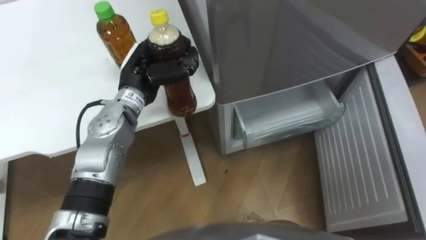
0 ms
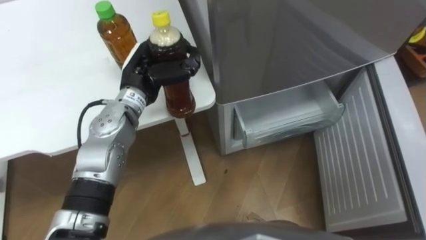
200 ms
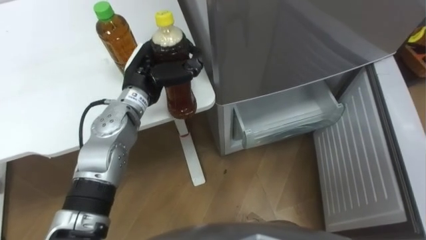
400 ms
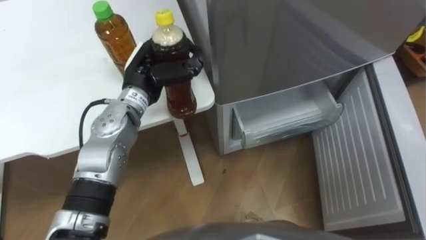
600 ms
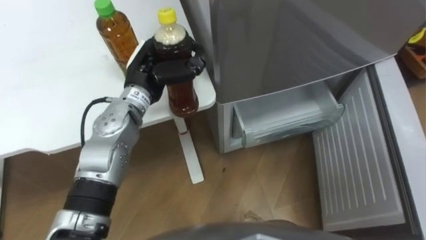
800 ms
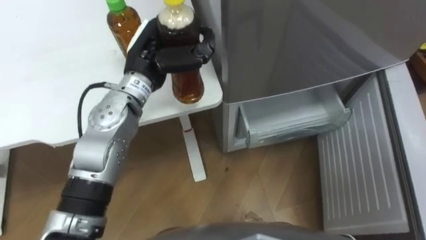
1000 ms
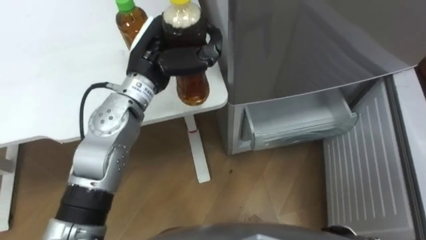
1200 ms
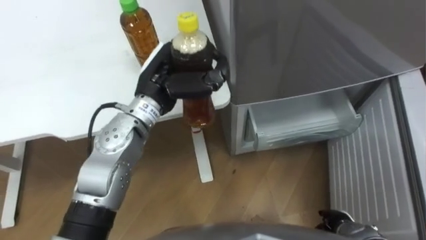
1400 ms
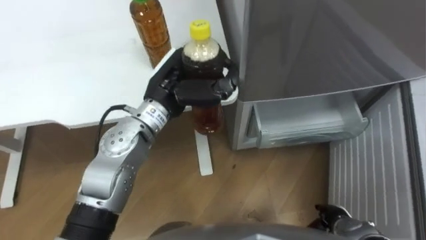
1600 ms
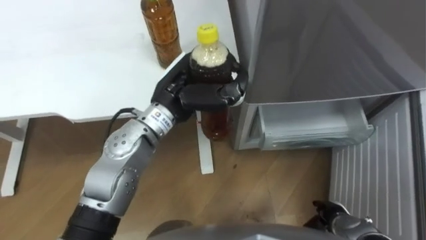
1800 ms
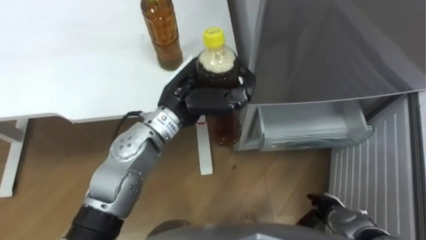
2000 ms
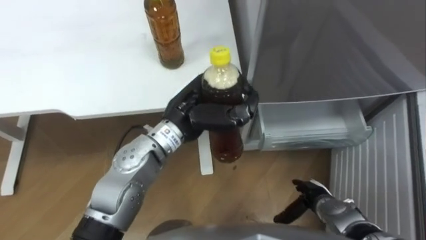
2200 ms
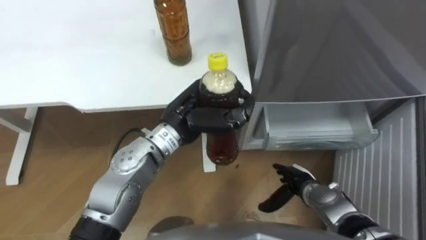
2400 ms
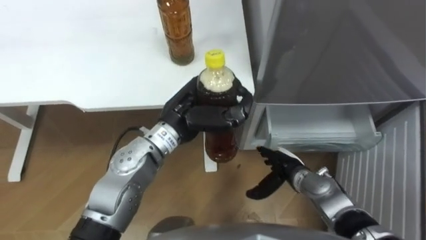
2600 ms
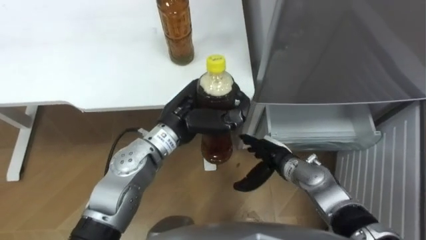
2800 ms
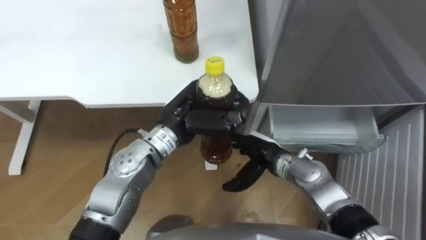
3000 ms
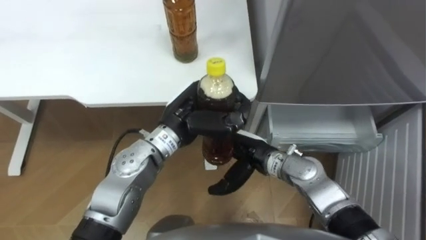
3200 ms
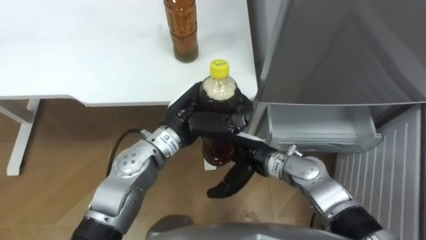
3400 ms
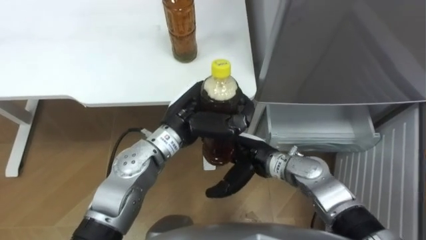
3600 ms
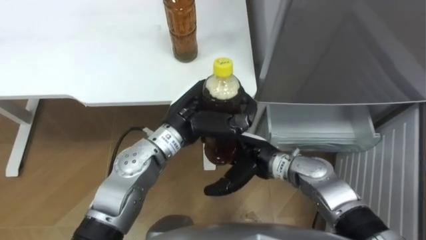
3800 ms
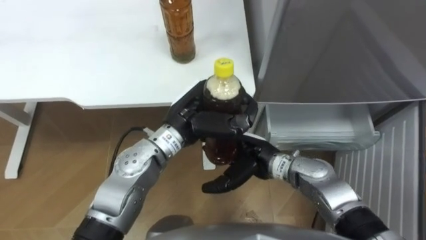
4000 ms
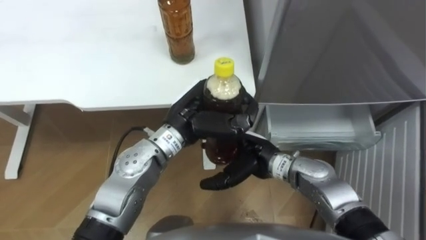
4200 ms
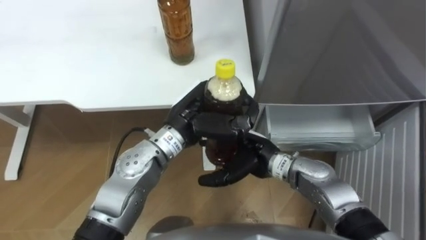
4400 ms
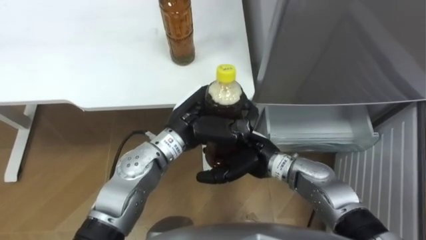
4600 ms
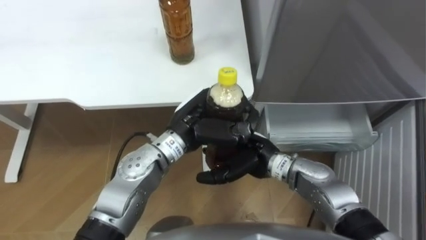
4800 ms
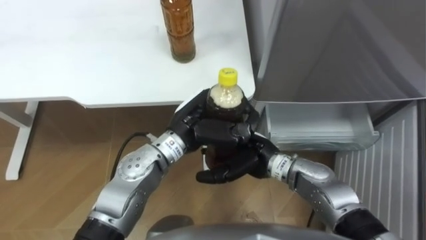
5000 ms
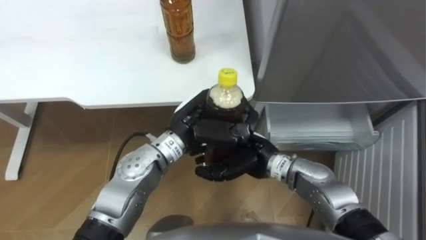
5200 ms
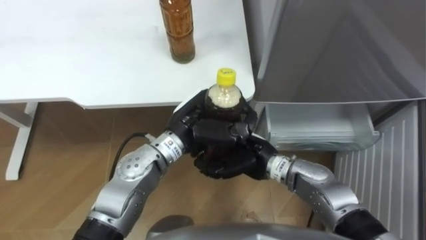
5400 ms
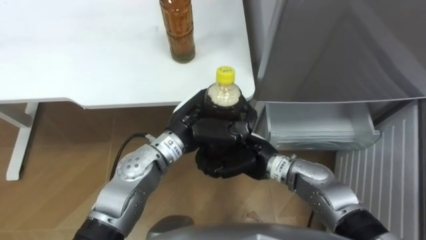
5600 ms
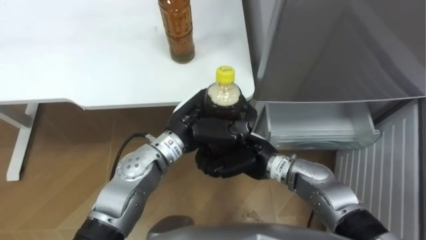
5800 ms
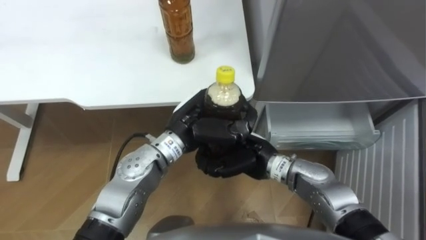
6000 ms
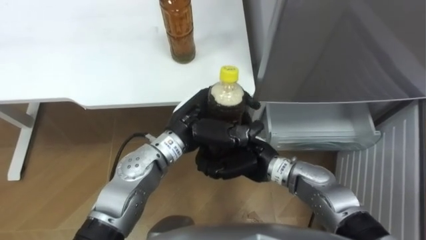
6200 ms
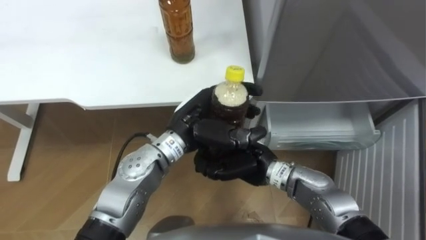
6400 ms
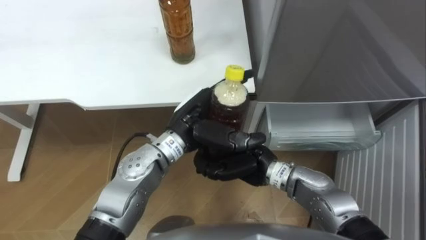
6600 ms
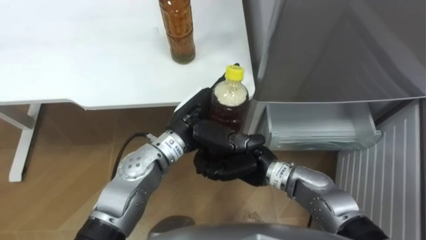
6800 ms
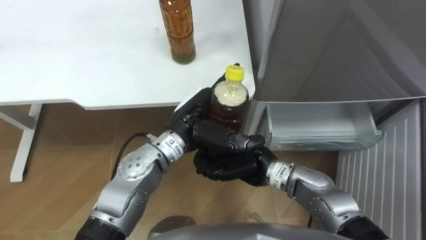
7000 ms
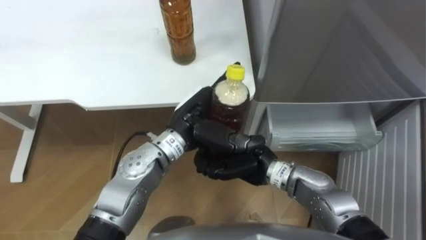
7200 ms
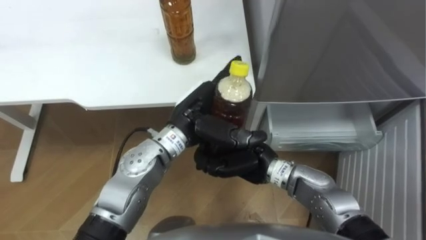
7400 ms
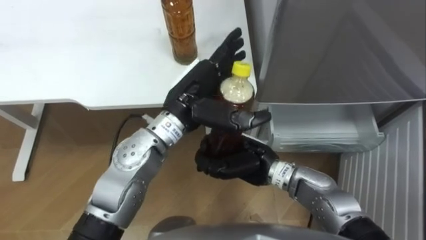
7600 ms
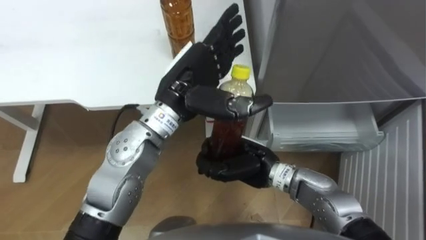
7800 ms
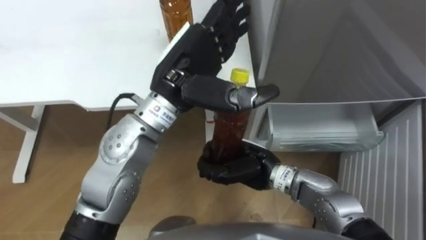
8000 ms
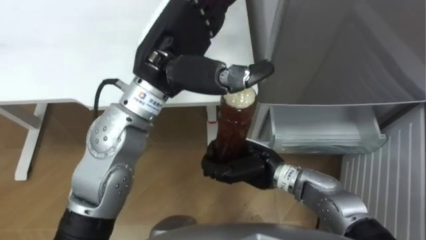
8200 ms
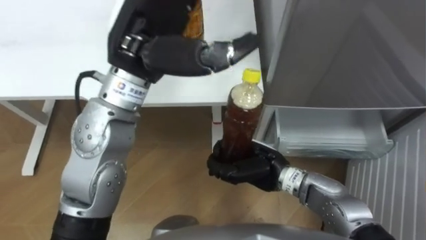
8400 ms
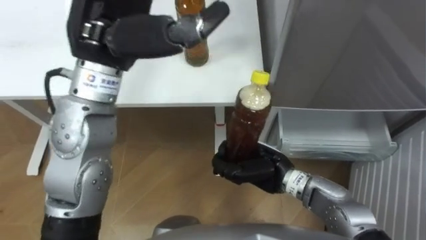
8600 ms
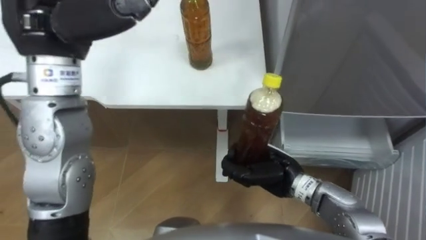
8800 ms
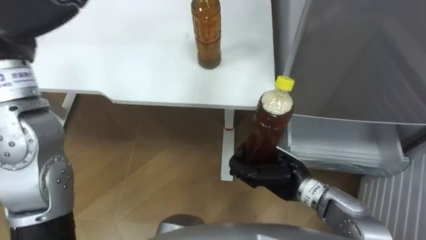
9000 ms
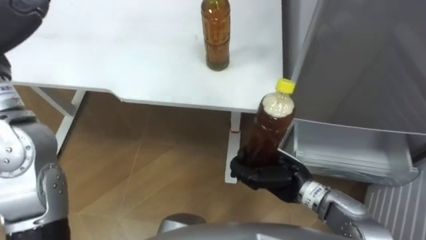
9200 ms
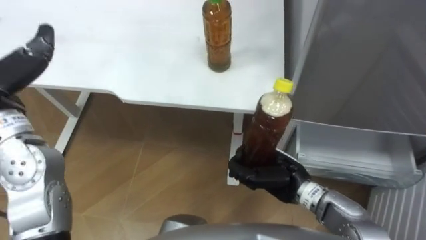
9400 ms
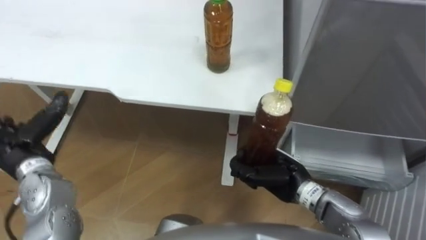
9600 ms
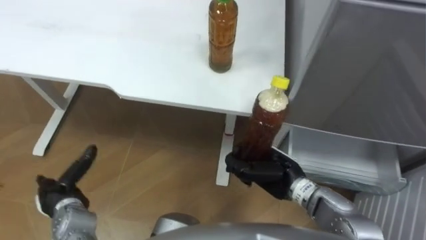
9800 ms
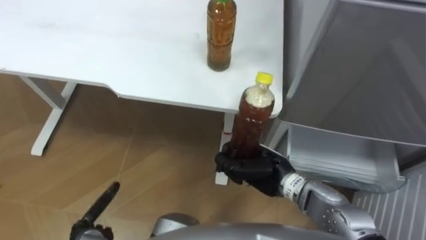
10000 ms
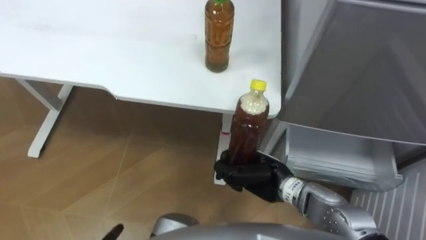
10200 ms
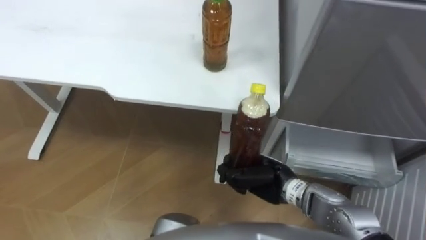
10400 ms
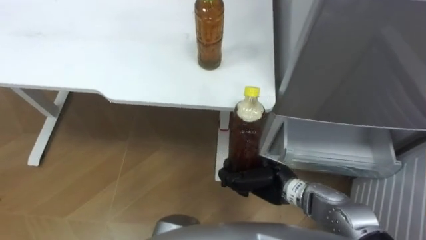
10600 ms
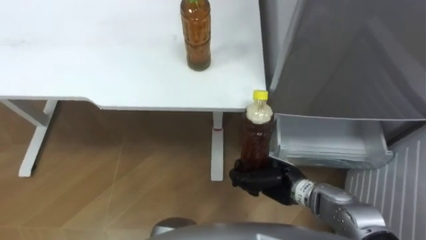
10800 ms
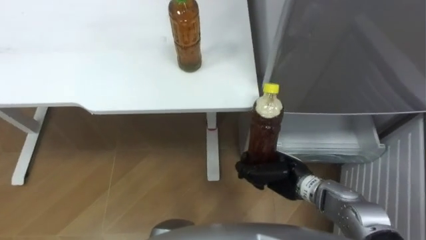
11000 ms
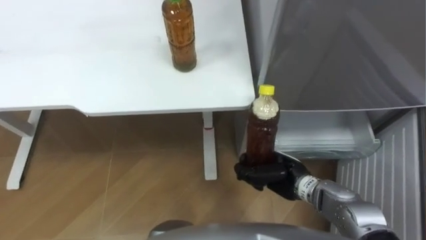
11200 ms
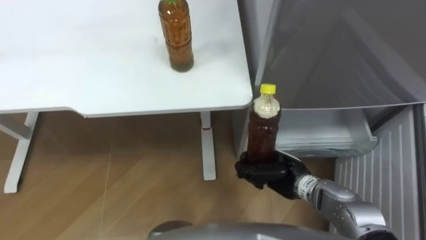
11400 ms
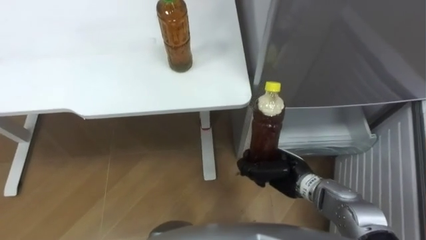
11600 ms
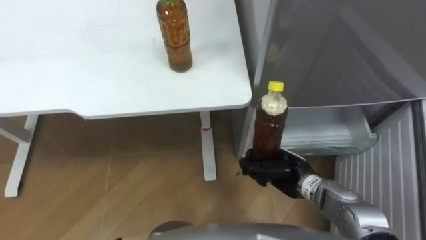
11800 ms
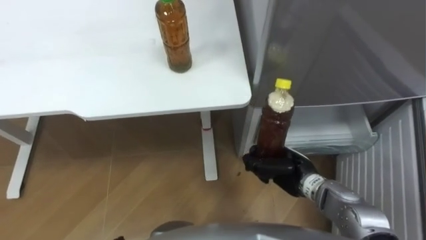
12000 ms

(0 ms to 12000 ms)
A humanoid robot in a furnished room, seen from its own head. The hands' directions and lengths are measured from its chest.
Task of the whole recording: Place the drink on the table on the bottom shelf of the refrigerator, then close the drawer and the refrigerator door.
0 ms - 1600 ms: The left hand travels to the right by about 5 cm.
1600 ms - 3000 ms: The right hand travels to the left, forward and upward by approximately 25 cm; the left hand moves some 5 cm.
3000 ms - 4400 ms: The right hand is displaced upward by about 5 cm.
4400 ms - 6000 ms: The right hand closes its fingers.
6000 ms - 7600 ms: The left hand travels upward by about 5 cm, and opens its fingers.
7600 ms - 9000 ms: The right hand moves to the right, approximately 5 cm.
10400 ms - 12000 ms: The right hand goes roughly 5 cm to the right.

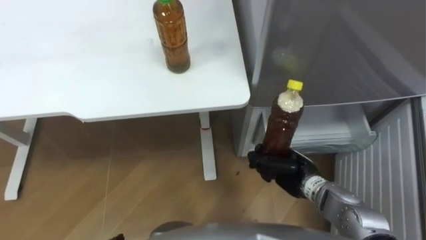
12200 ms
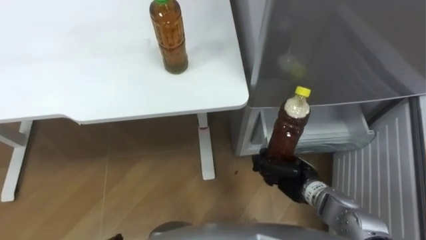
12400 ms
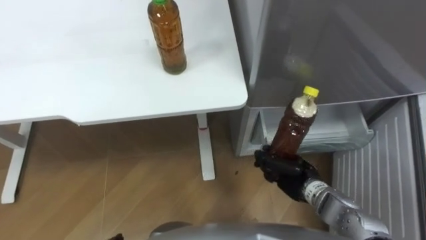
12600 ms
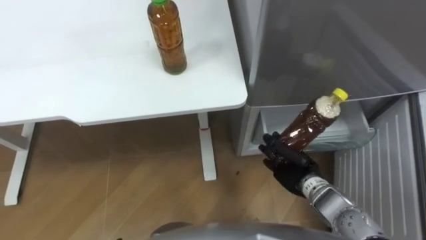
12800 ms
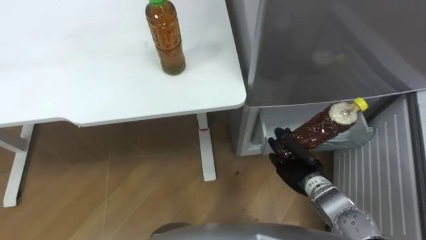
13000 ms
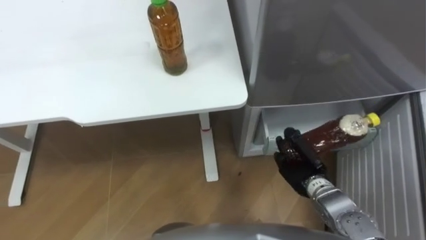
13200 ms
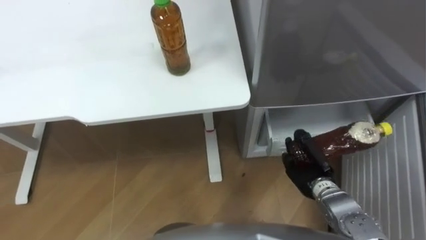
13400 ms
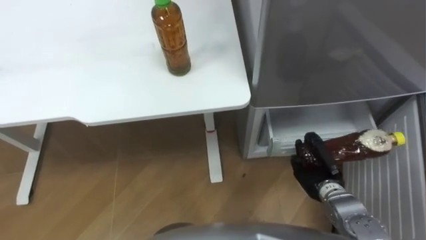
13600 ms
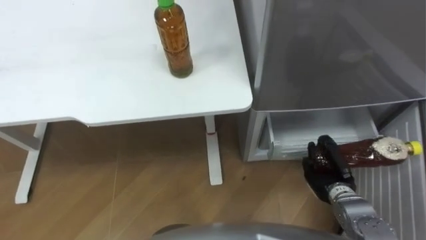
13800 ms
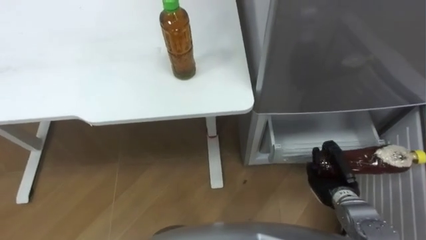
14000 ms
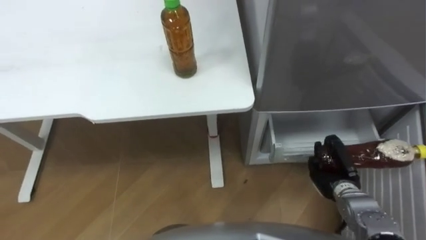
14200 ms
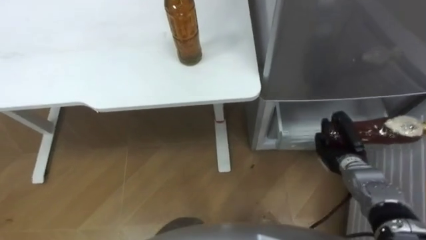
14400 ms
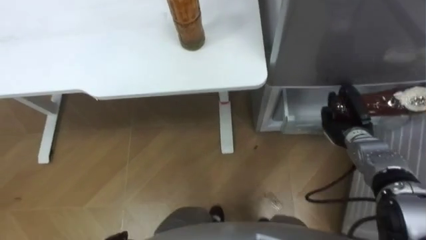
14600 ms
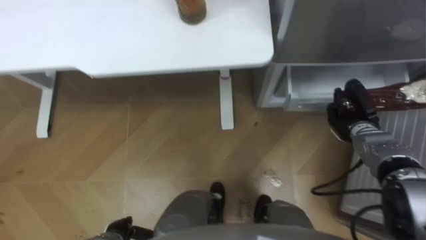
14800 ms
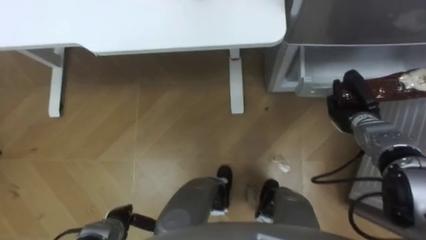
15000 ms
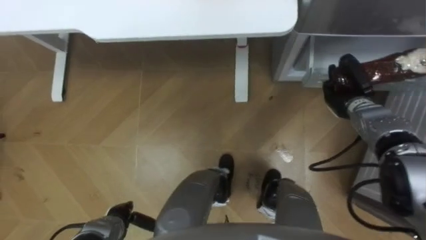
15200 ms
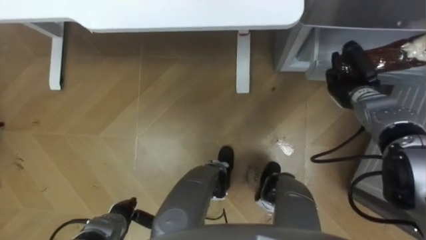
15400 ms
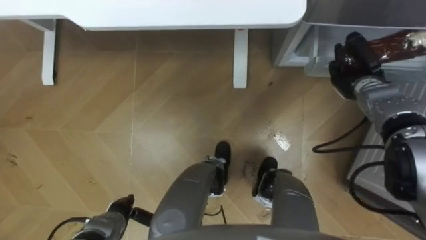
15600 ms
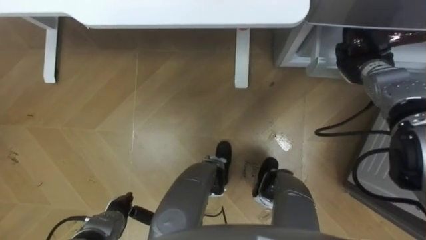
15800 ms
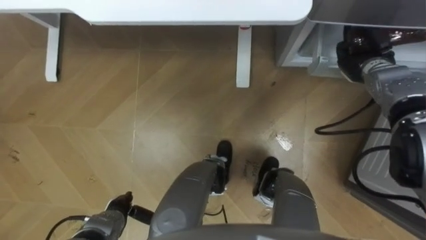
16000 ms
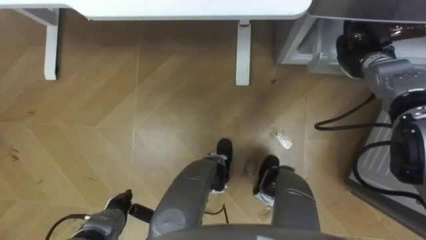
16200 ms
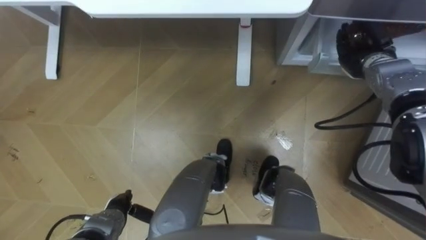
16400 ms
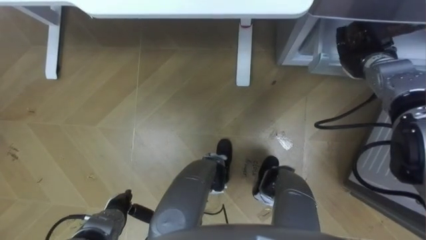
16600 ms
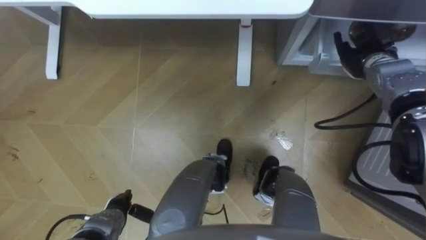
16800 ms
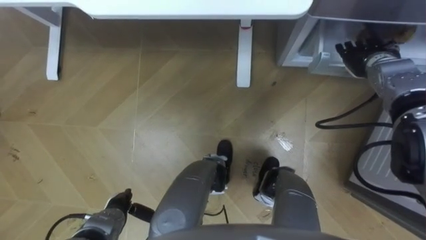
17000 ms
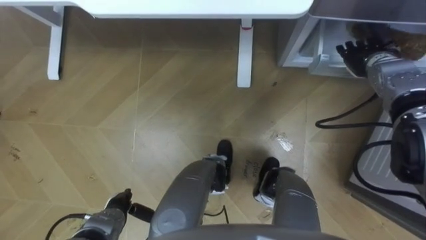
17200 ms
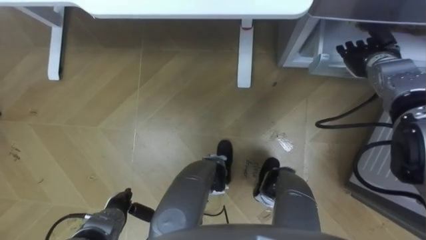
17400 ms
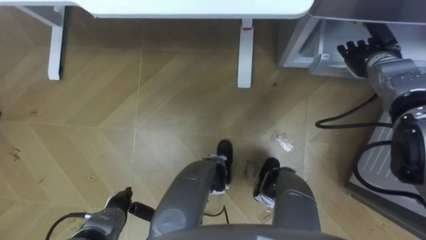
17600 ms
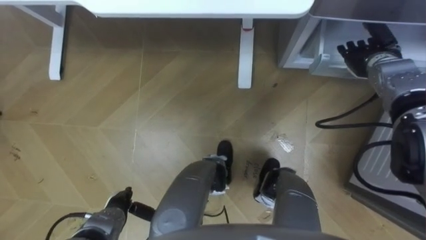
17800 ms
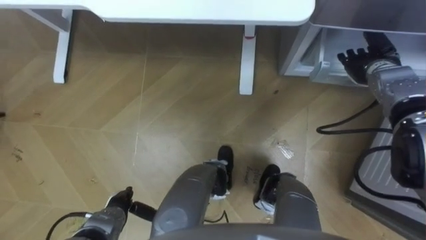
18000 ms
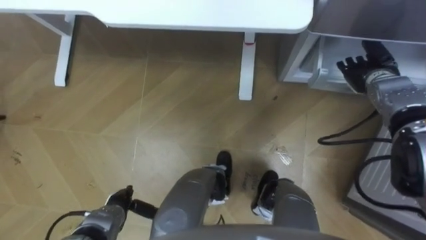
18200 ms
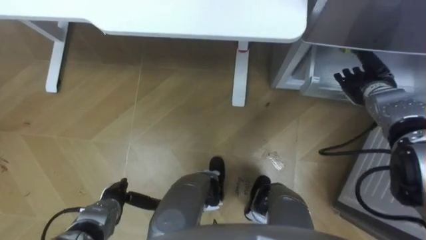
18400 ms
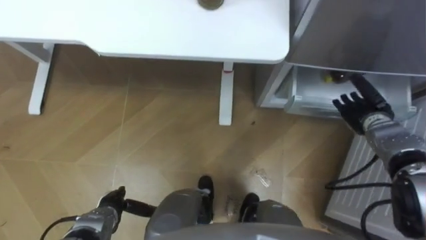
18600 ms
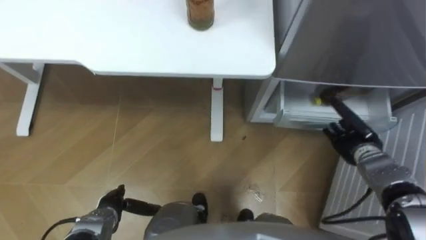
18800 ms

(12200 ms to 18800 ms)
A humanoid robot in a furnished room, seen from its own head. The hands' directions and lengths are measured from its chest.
Task of the whole recording: Place the drink on the table on the bottom shelf of the refrigerator, then close the drawer and the refrigerator door.
12200 ms - 13800 ms: The right hand heads to the right, covering roughly 10 cm.
13800 ms - 15400 ms: The right hand moves forward and upward, about 20 cm.
15400 ms - 17200 ms: The right hand travels upward by roughly 5 cm, and opens up.
17200 ms - 18800 ms: The right hand shifts about 20 cm backward and downward.
